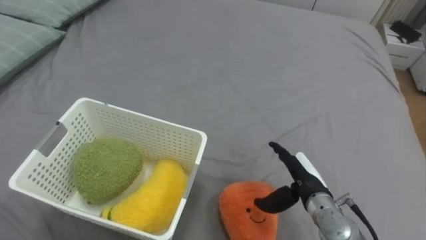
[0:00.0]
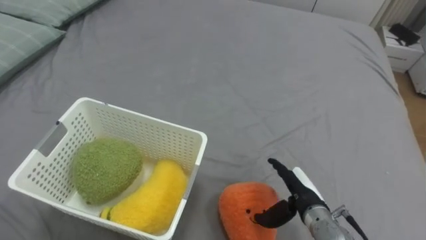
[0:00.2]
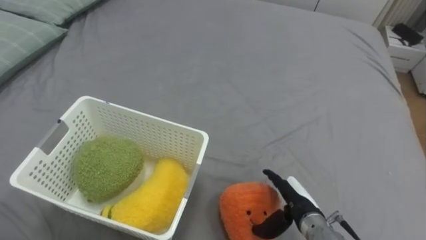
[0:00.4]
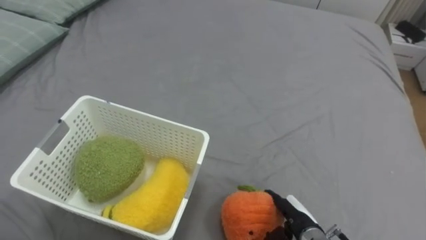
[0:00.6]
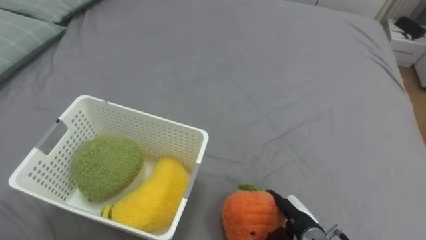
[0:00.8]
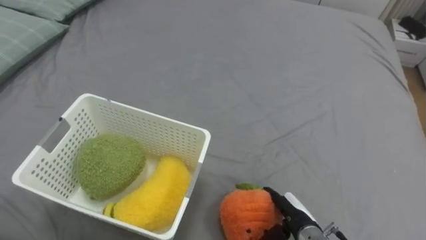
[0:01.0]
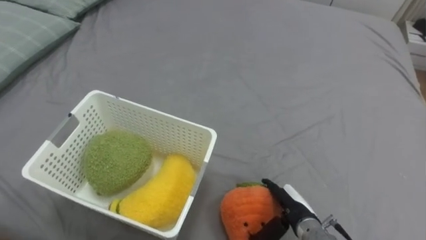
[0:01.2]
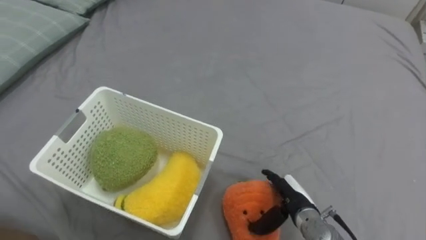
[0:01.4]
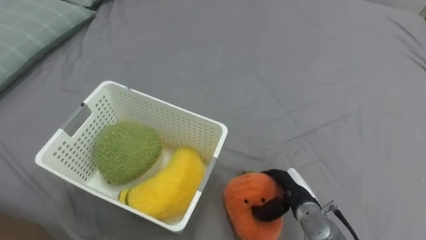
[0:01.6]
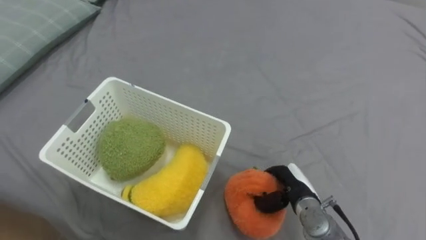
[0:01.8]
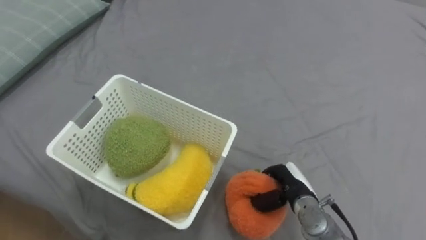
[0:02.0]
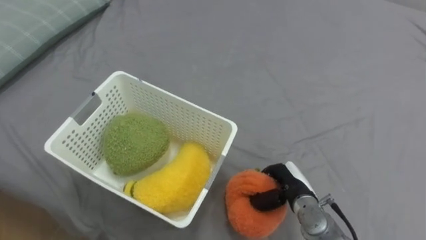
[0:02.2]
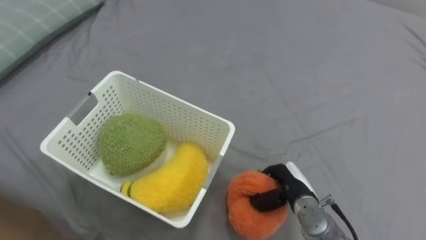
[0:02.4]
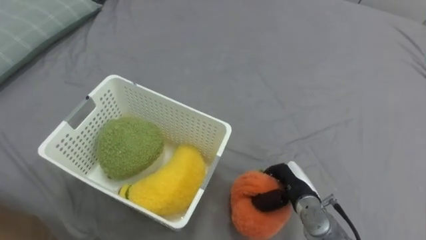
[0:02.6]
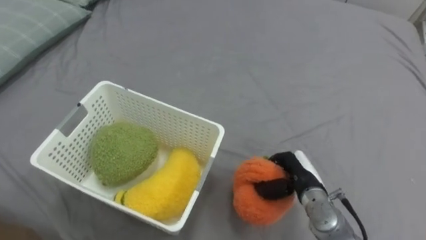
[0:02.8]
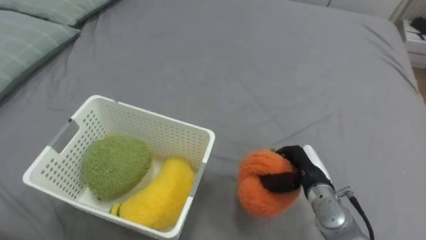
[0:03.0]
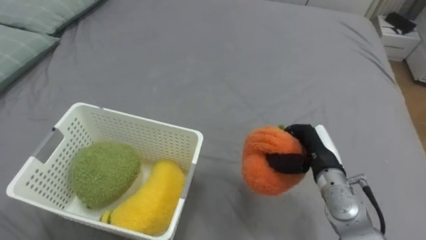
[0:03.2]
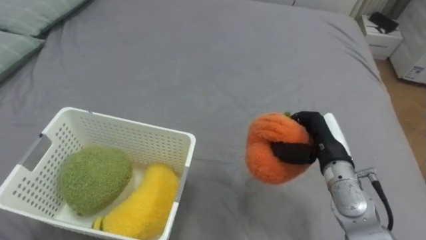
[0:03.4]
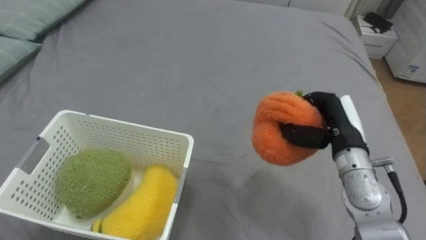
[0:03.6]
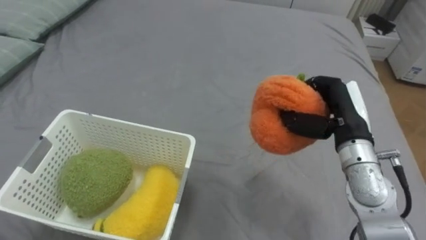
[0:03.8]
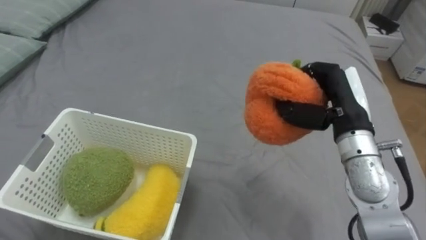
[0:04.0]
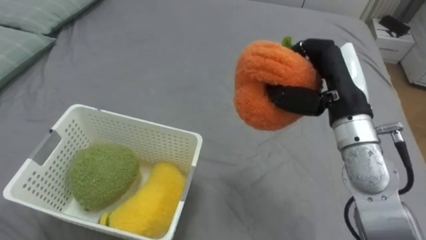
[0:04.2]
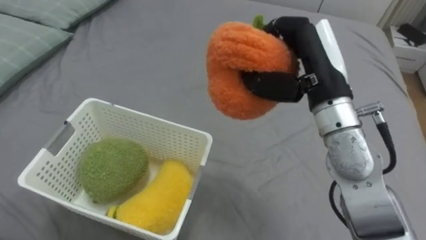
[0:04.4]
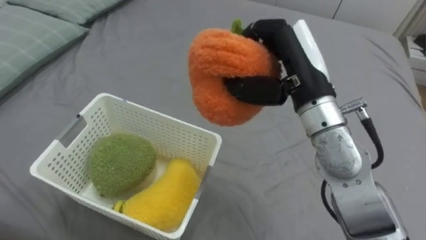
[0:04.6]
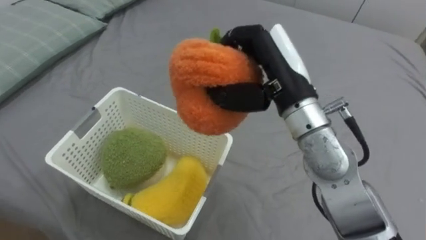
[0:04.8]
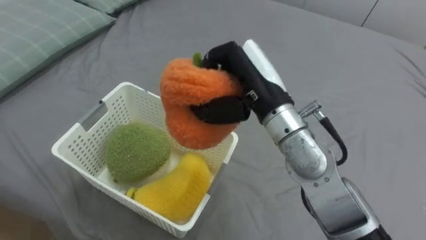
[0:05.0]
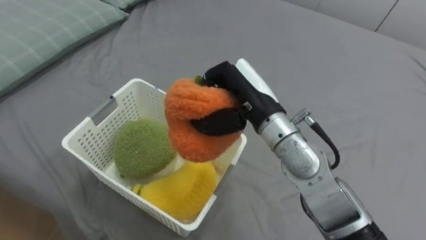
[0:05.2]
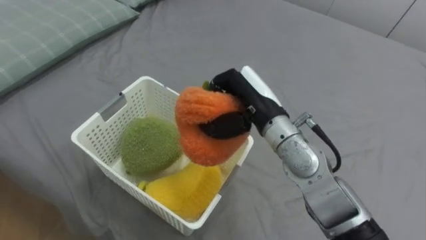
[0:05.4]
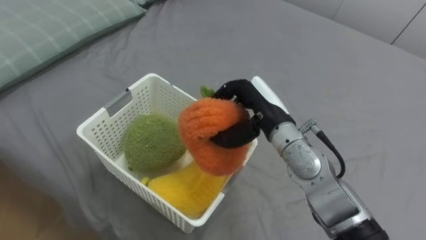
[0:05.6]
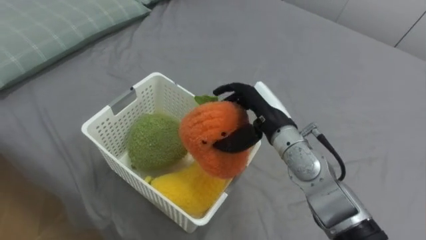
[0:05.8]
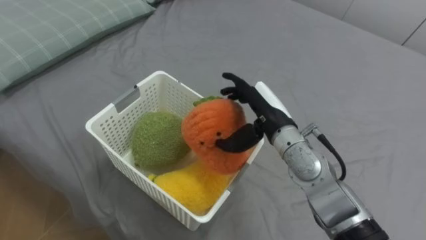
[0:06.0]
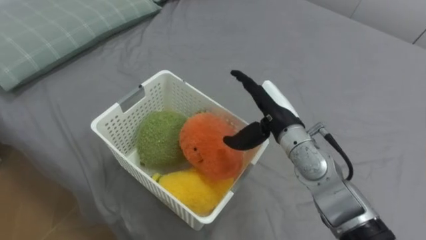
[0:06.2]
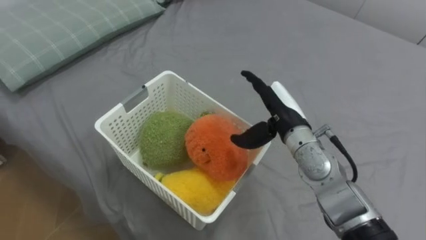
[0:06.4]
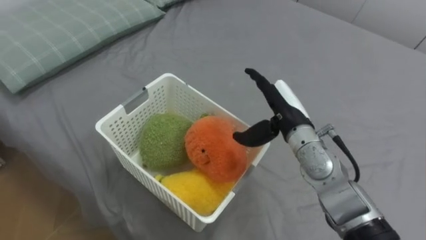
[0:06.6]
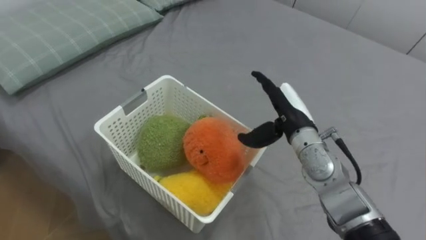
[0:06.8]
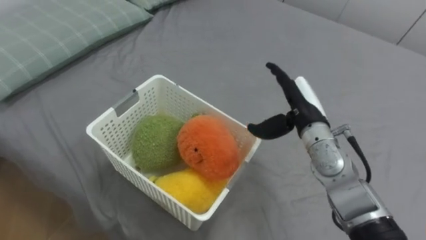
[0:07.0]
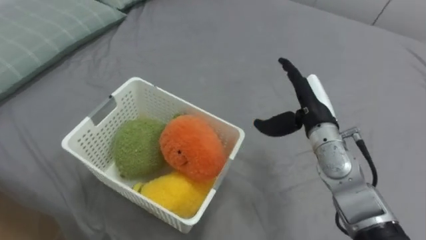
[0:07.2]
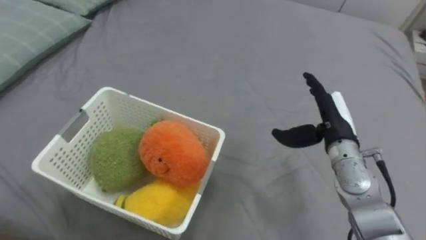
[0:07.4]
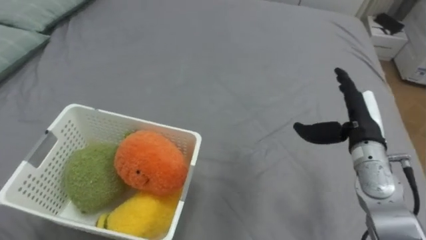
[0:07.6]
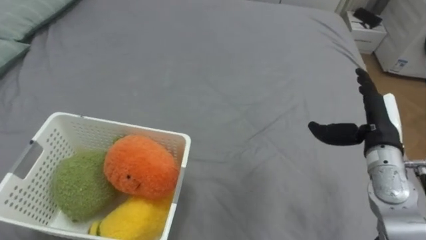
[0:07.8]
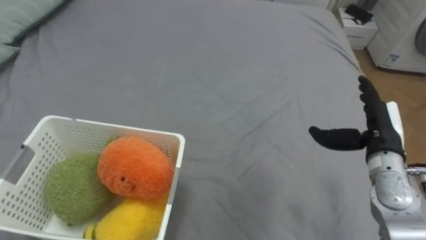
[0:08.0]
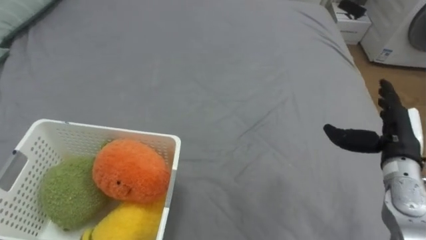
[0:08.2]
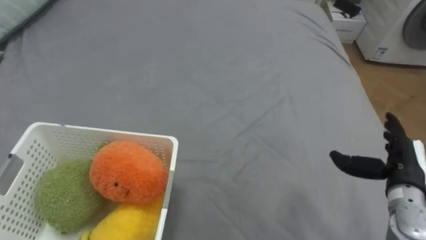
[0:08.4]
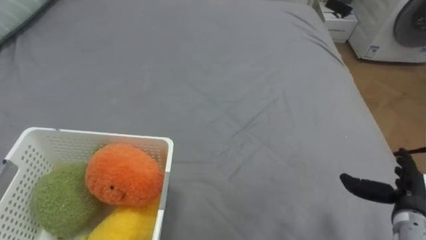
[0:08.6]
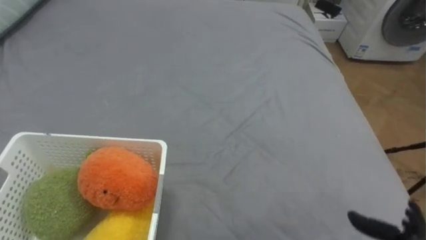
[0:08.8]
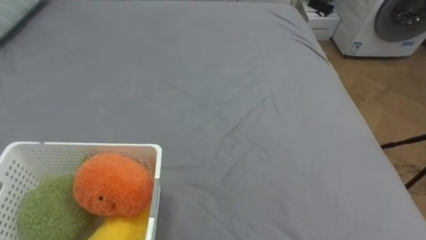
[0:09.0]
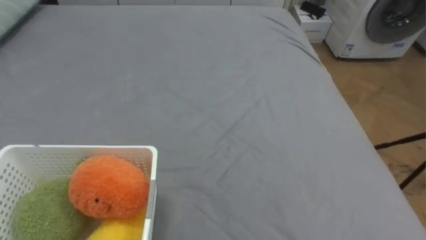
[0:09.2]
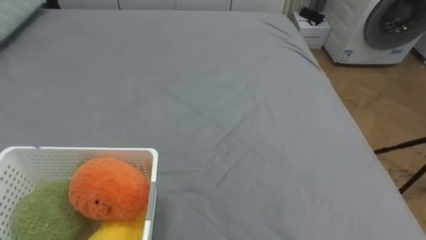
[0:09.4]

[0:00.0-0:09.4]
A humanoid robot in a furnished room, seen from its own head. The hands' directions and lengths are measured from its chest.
Task of the whole recording: Put the toys on the bed into the basket on the left.
0.0 to 1.6 s: The right hand heads downward, covering some 5 cm.
1.6 to 3.2 s: The right hand shifts about 10 cm upward, and closes up.
3.2 to 4.8 s: The right hand is displaced upward and to the left by approximately 25 cm.
4.8 to 6.2 s: The right hand travels downward by about 10 cm, and opens up.
6.2 to 7.8 s: The right hand shifts about 20 cm to the right.

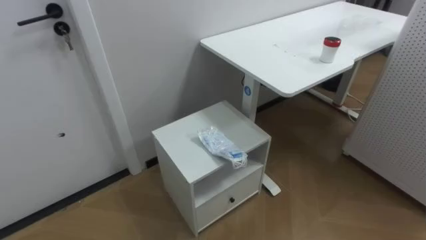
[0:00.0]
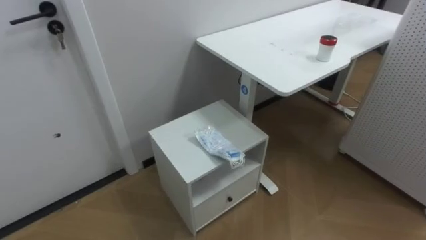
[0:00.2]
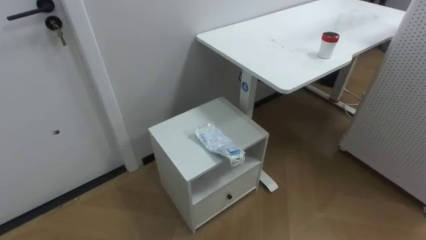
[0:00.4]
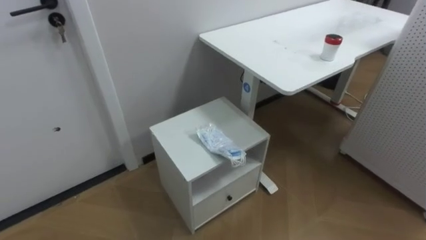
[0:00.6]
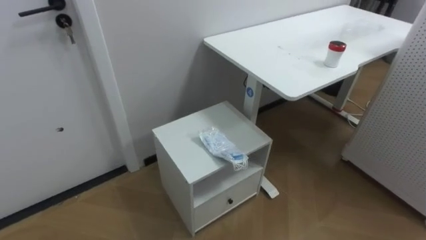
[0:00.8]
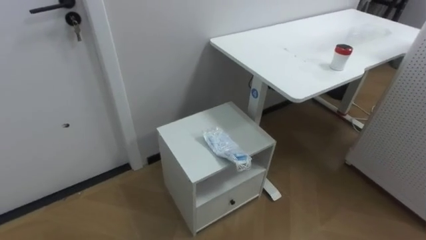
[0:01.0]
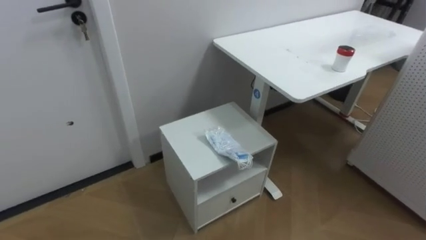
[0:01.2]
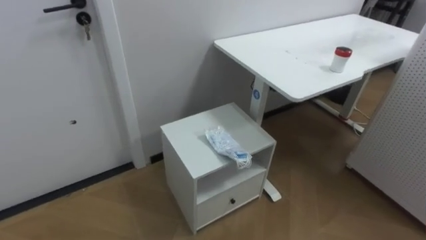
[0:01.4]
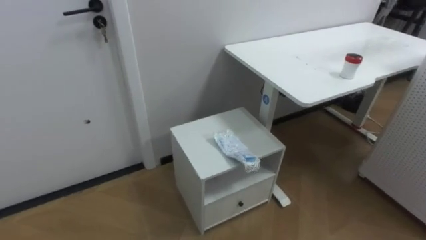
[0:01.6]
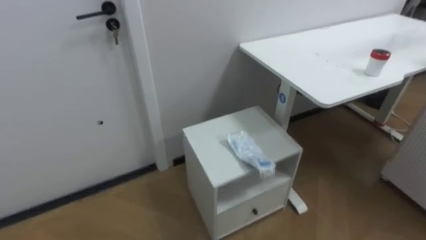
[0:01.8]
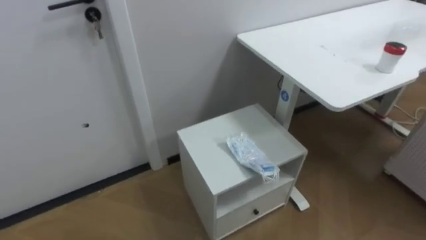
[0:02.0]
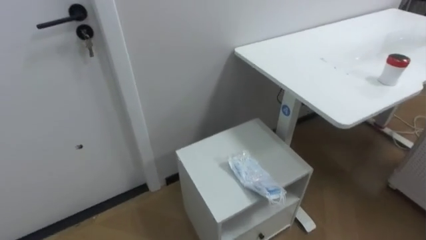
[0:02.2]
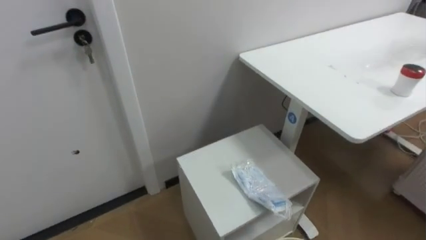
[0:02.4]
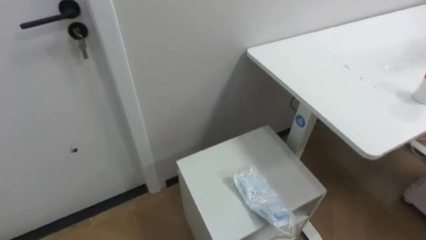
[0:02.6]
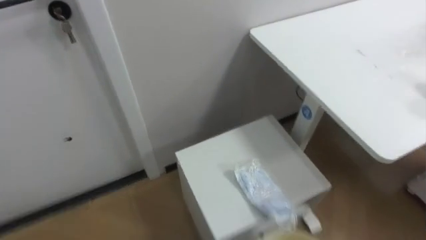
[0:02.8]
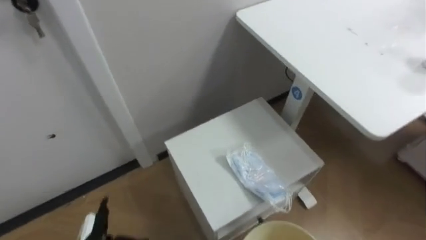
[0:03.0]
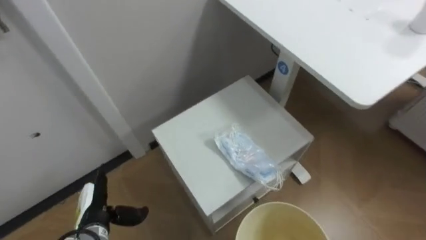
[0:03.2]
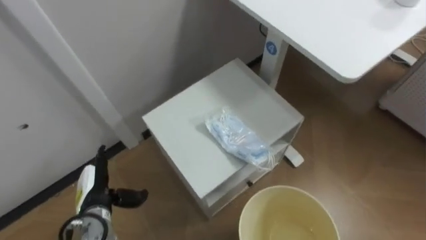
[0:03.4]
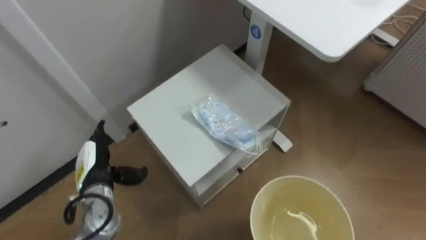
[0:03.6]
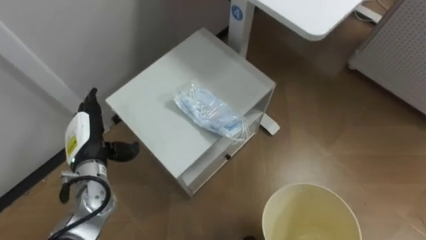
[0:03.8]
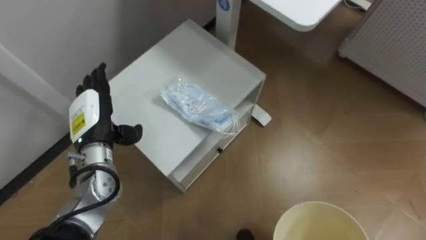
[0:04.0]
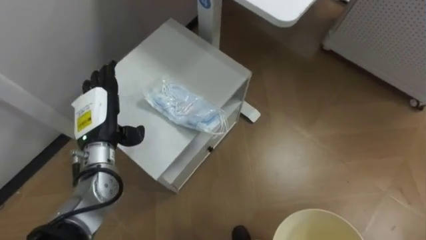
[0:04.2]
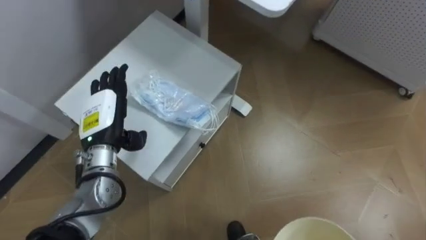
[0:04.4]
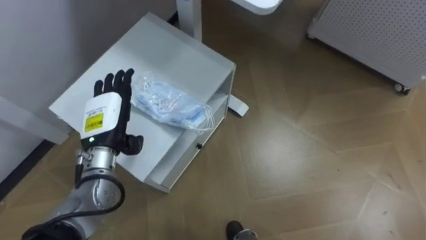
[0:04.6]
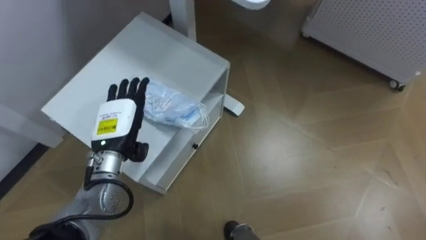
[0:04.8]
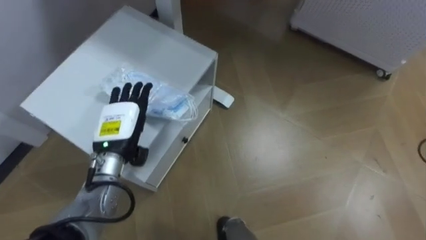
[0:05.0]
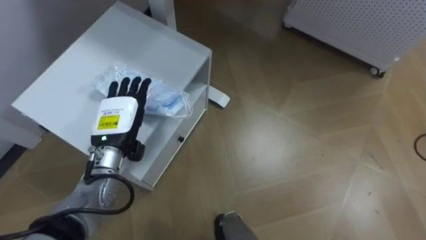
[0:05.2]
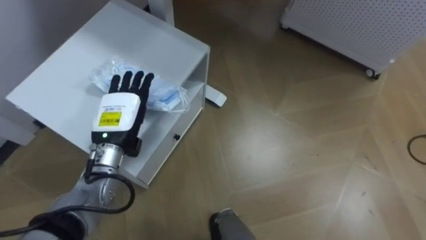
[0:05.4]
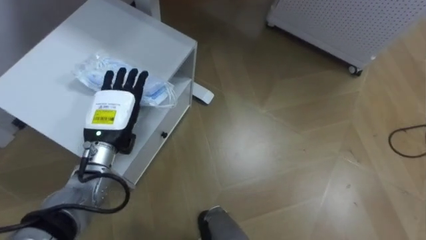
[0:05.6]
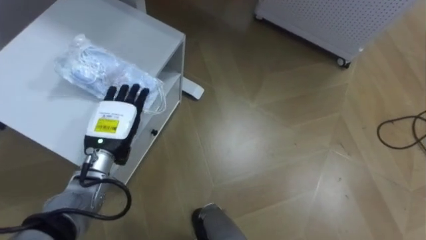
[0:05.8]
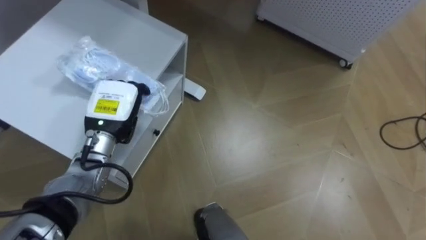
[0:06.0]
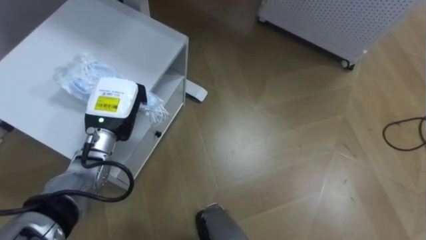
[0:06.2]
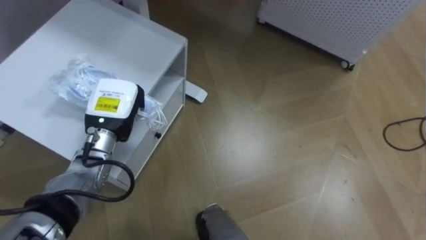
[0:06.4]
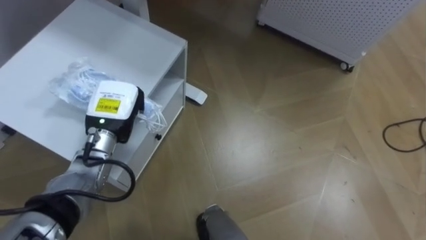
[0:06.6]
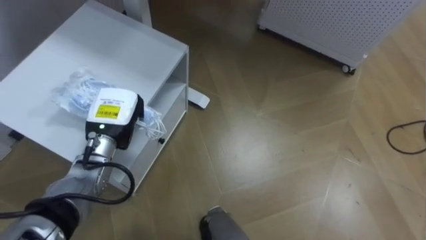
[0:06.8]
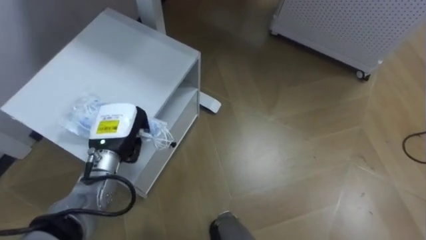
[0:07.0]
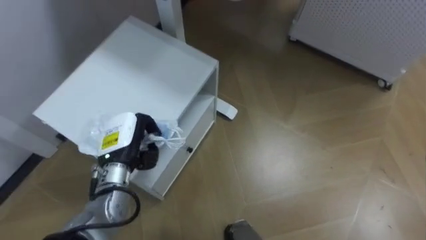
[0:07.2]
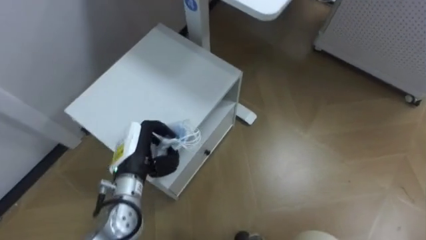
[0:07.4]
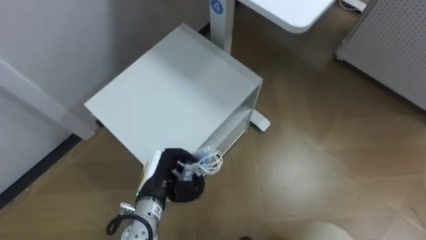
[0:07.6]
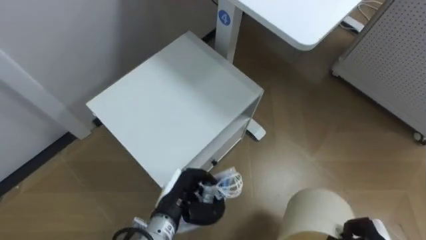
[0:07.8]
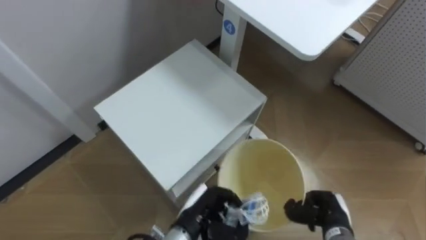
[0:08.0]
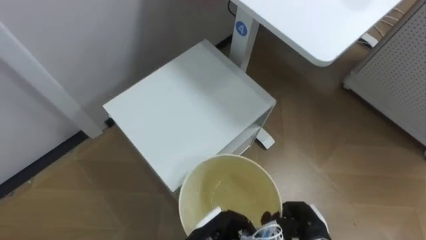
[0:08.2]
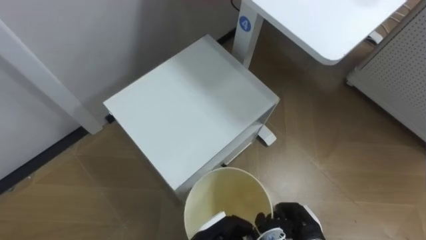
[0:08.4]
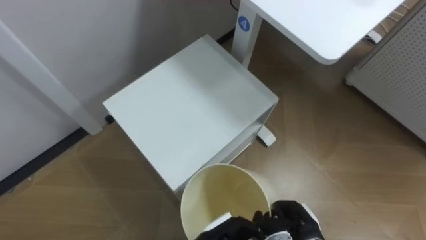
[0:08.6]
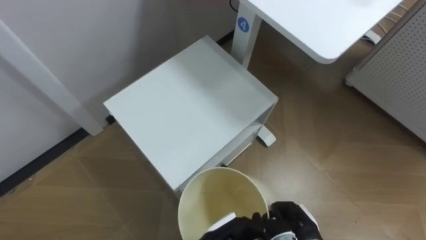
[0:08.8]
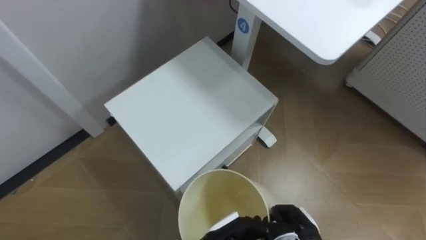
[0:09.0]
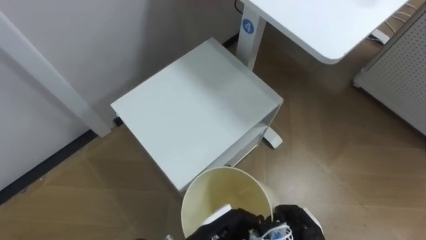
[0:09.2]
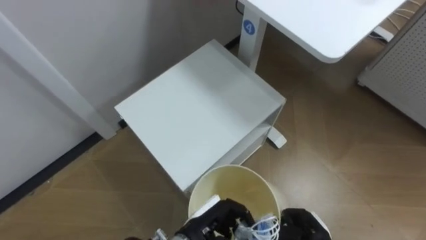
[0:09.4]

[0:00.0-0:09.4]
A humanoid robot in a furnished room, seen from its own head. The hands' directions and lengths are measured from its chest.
Task of the whole recording: Pick up the light blue package, the candy box, and the dark blue package separately, and put them into the trash can held in your right hand.
3.2 to 4.8 s: The left hand shifts roughly 20 cm upward and forward.
4.8 to 6.2 s: The left hand closes.
6.2 to 7.8 s: The left hand travels downward, to the right and backward by about 20 cm.
7.8 to 9.4 s: The left hand moves to the right and backward, about 10 cm.
